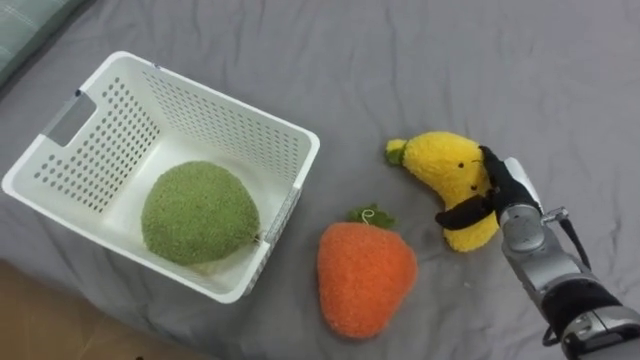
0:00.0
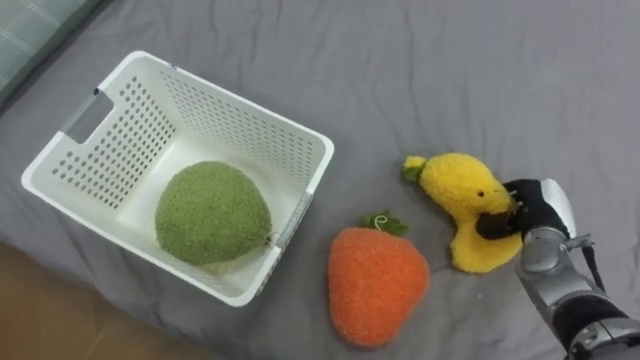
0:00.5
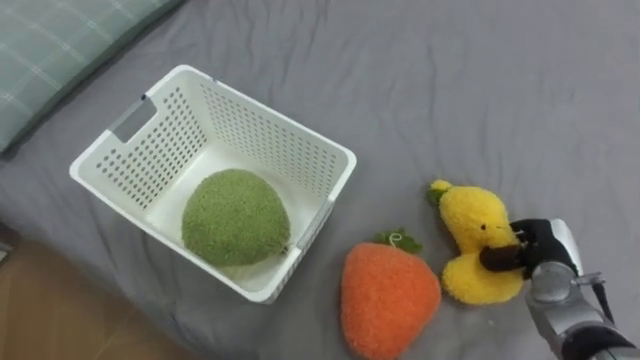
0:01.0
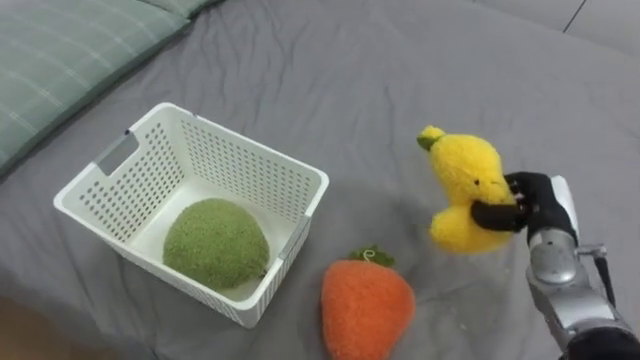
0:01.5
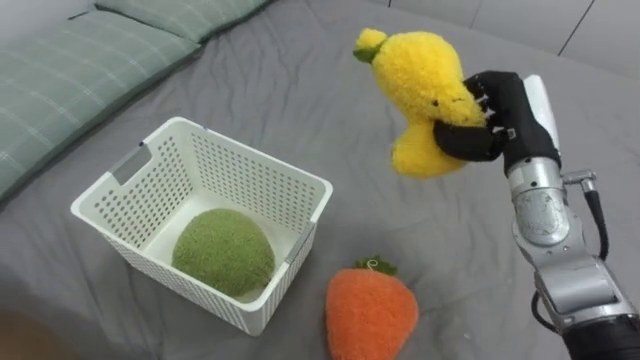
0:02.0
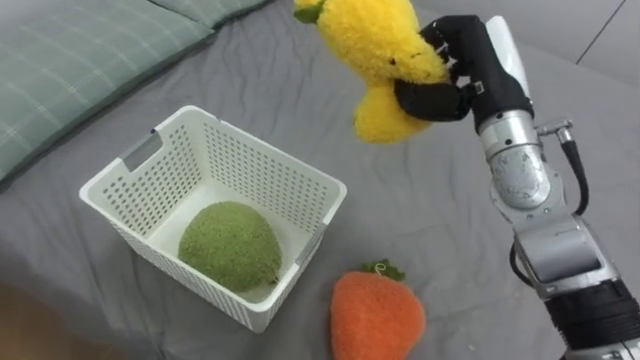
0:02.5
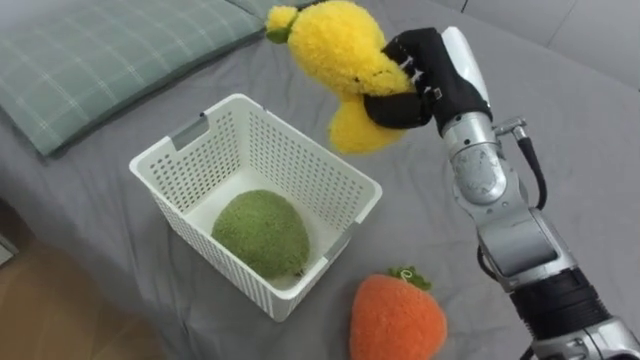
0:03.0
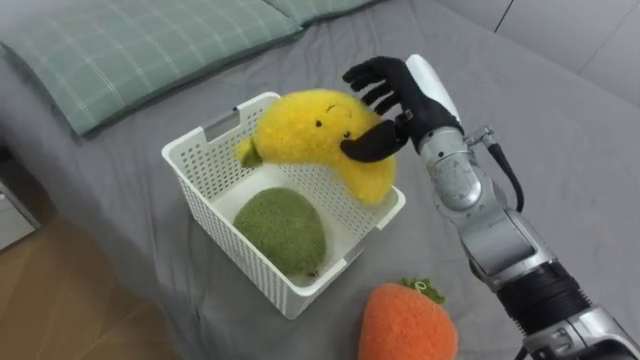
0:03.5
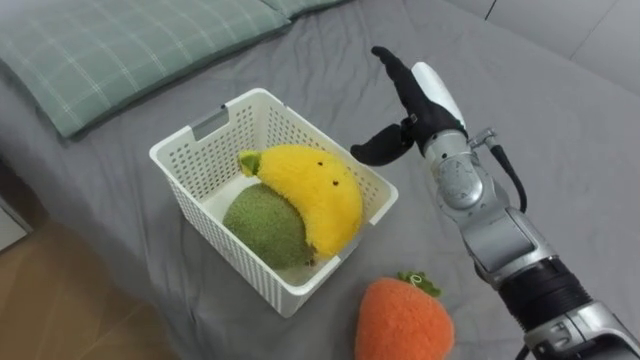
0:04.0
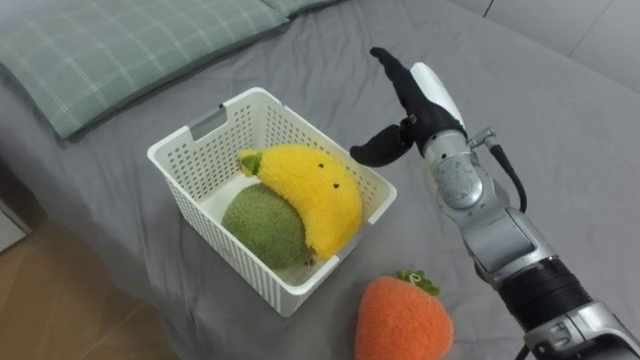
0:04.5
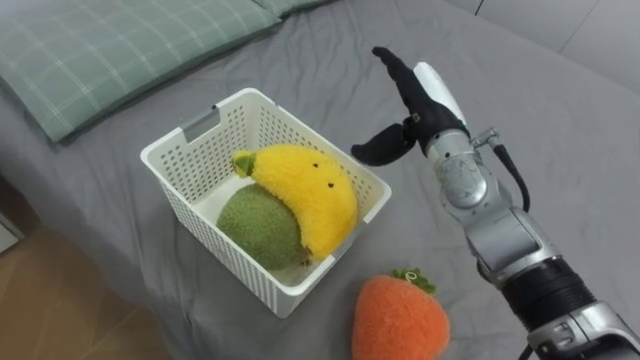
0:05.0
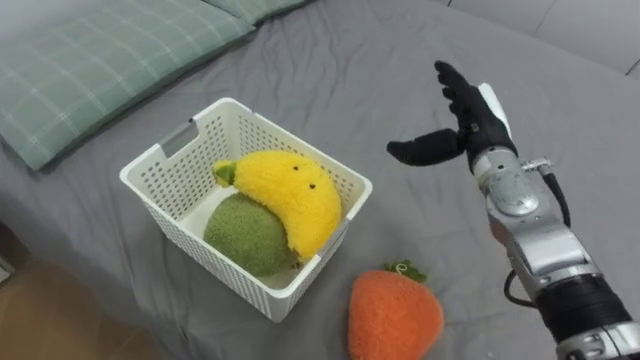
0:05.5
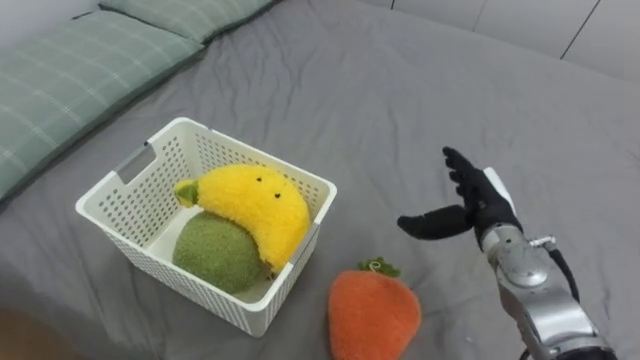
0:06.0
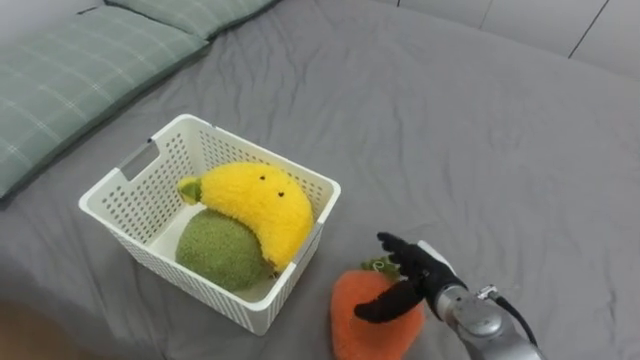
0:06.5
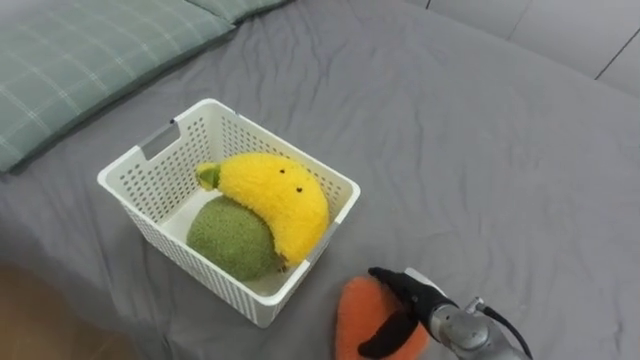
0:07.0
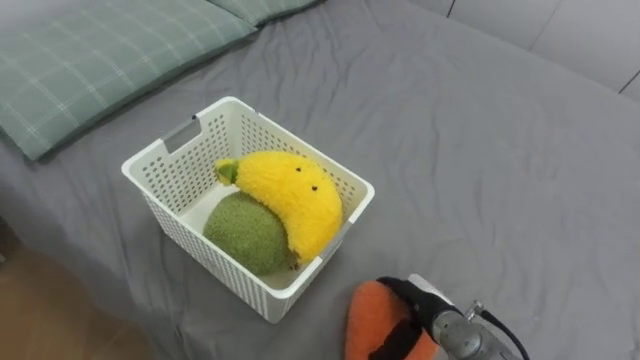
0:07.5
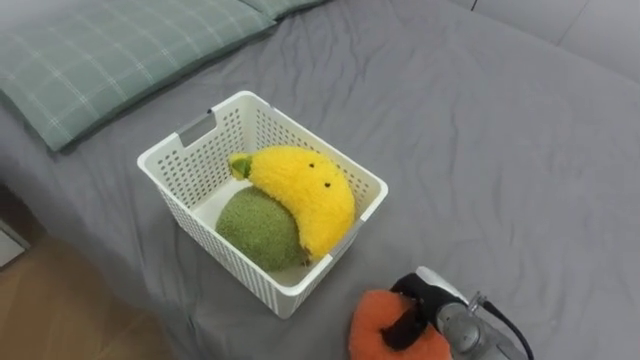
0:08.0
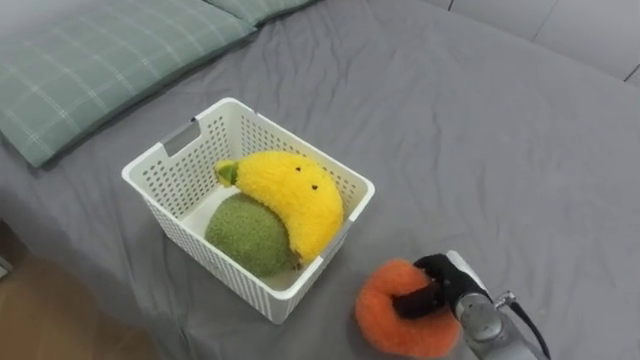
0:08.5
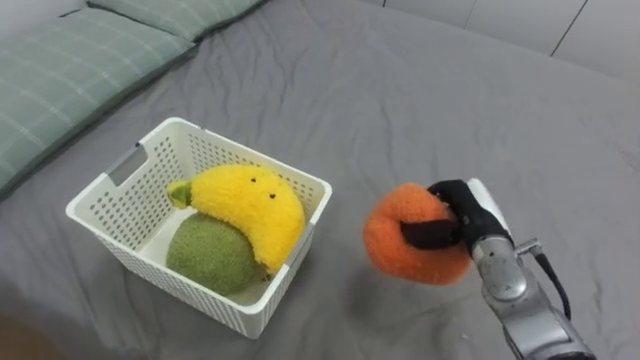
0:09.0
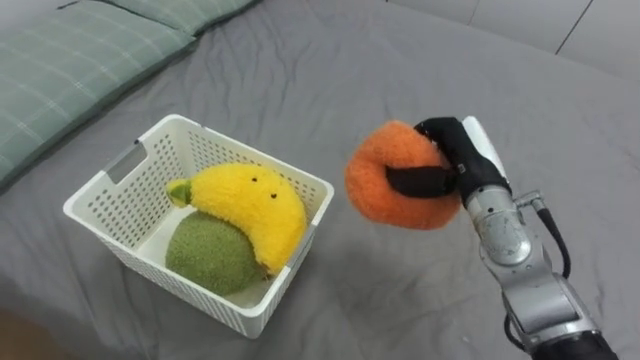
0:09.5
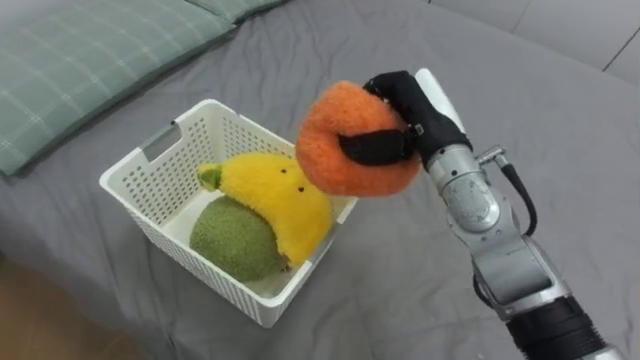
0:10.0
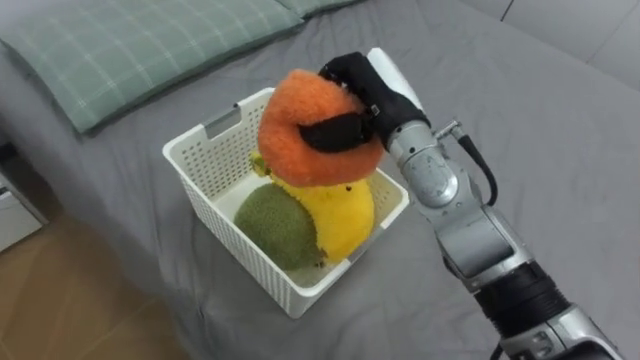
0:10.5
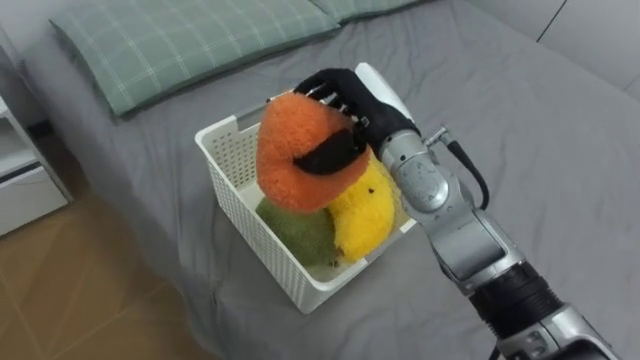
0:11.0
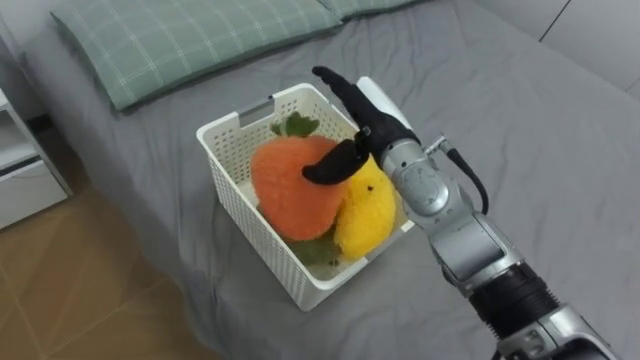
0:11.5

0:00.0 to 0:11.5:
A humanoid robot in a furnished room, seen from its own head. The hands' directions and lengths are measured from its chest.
Task of the whole recording: Put the toys on the bed into the basket on the left.
0:00.0 to 0:02.0: The right hand shifts approximately 10 cm upward, and closes up.
0:02.0 to 0:04.0: The right hand shifts about 10 cm to the left, and opens.
0:04.0 to 0:06.0: The right hand heads downward, to the right and backward, covering approximately 15 cm.
0:06.0 to 0:07.5: The right hand heads downward, backward and to the left, covering roughly 20 cm.
0:07.5 to 0:09.5: The right hand heads upward and forward, covering roughly 20 cm, and closes.
0:09.5 to 0:11.5: The right hand heads to the left and upward, covering about 15 cm, and opens.

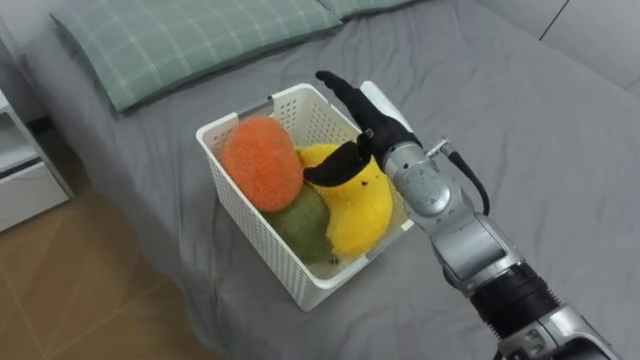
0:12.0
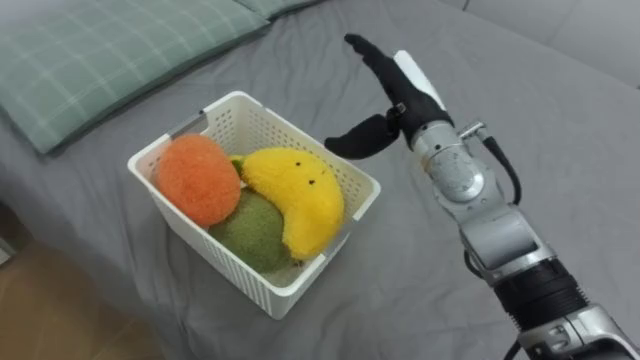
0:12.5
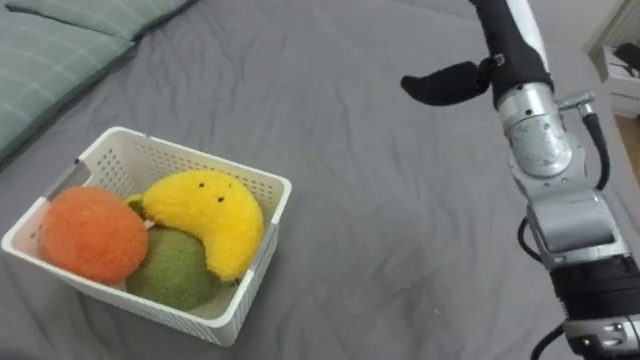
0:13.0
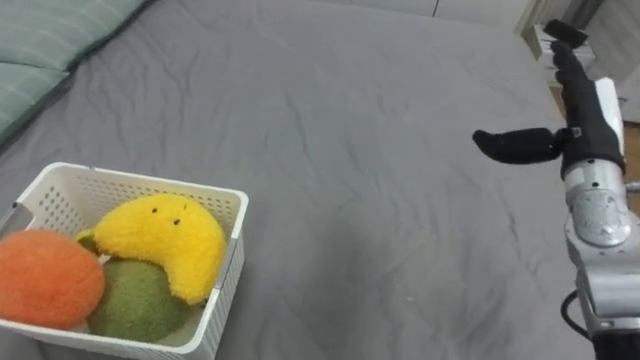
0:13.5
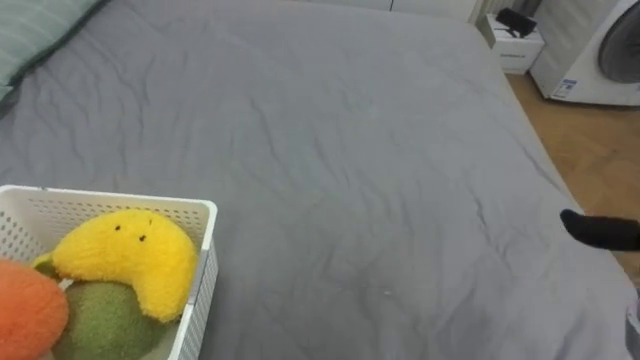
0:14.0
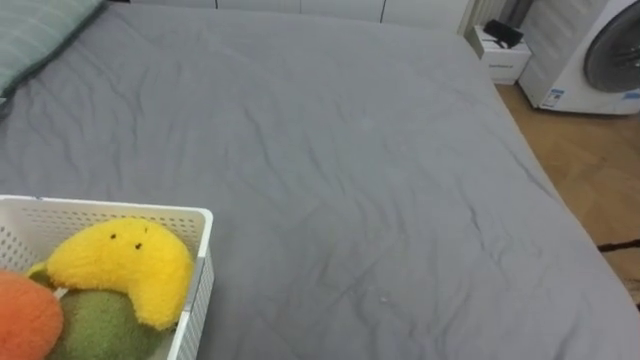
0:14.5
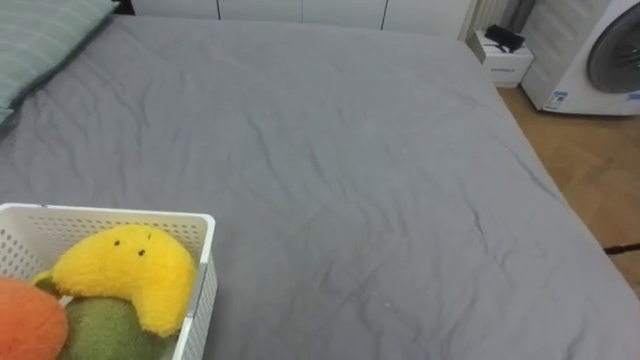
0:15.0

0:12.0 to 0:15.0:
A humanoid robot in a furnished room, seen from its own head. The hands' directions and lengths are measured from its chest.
Task of the whole recording: Put the toys on the bed into the basket on the left.
0:12.0 to 0:13.5: The right hand shifts some 20 cm to the right.

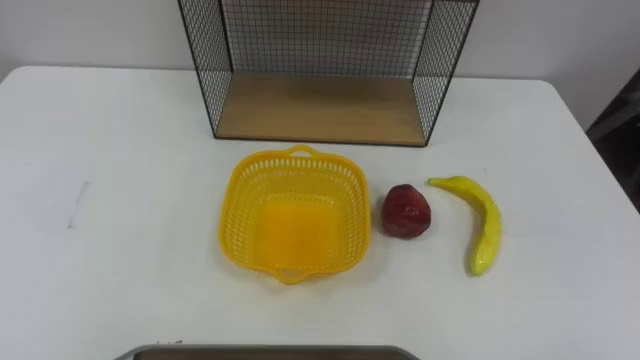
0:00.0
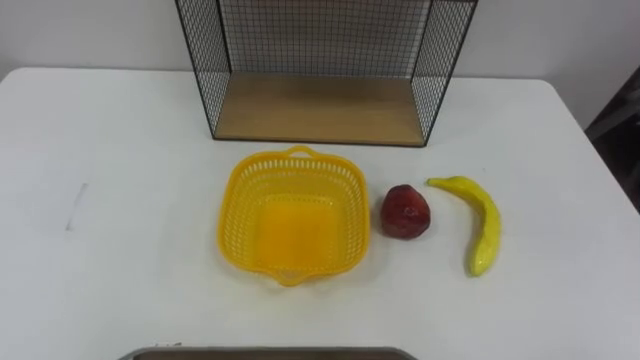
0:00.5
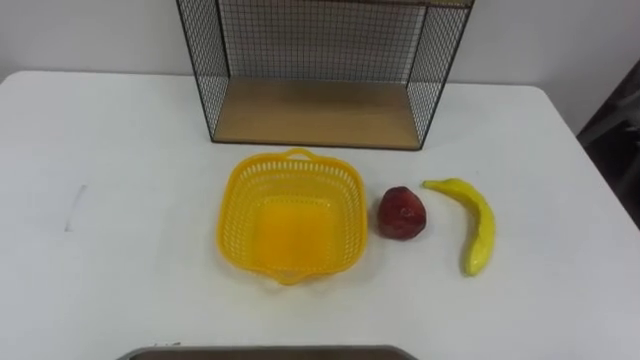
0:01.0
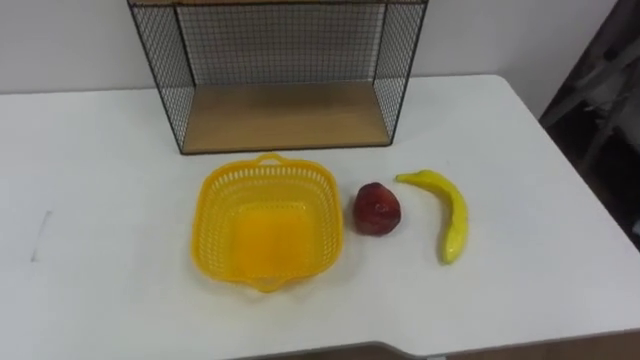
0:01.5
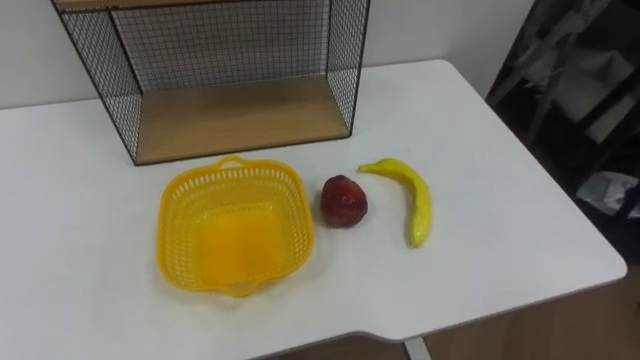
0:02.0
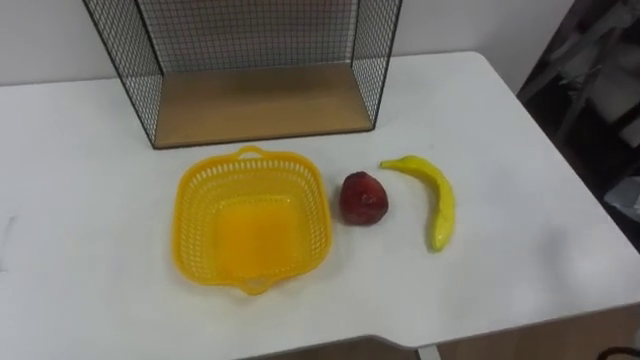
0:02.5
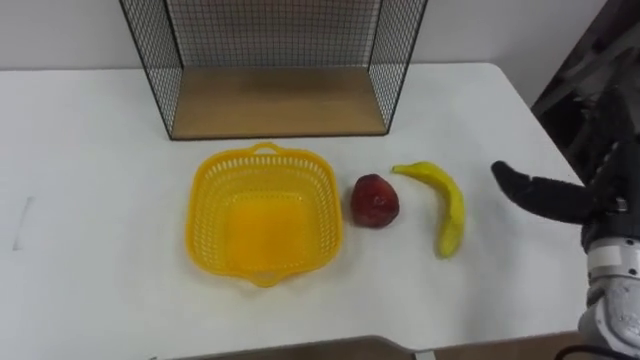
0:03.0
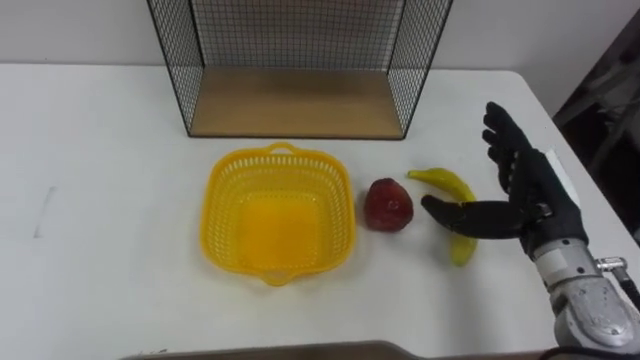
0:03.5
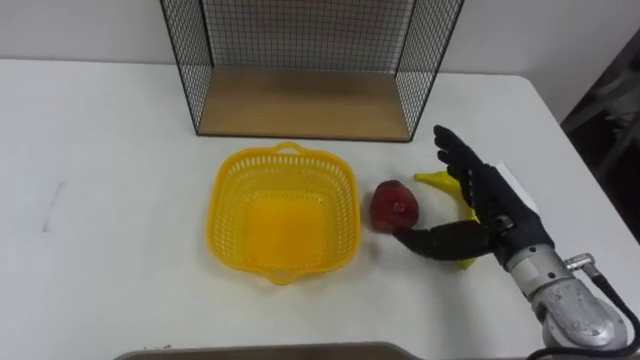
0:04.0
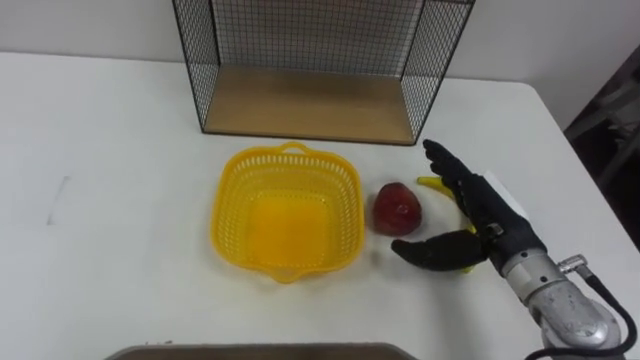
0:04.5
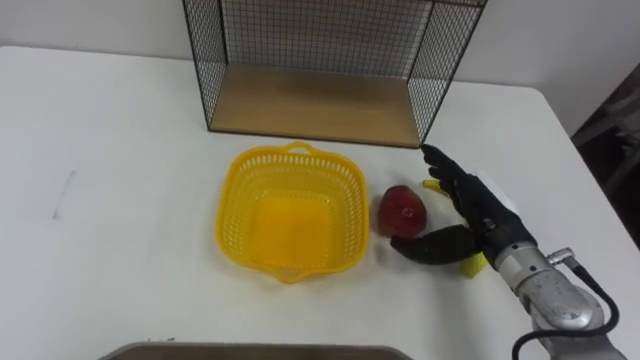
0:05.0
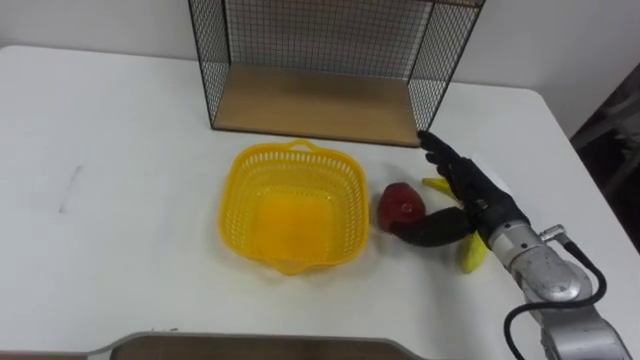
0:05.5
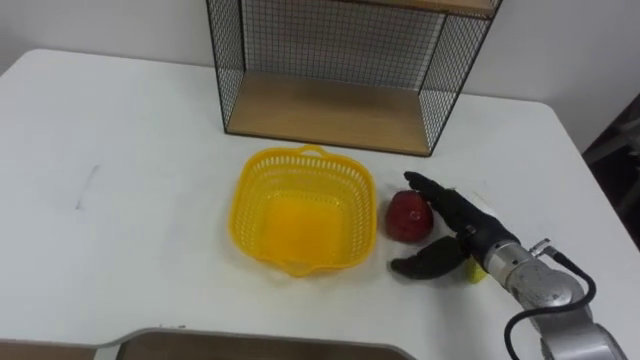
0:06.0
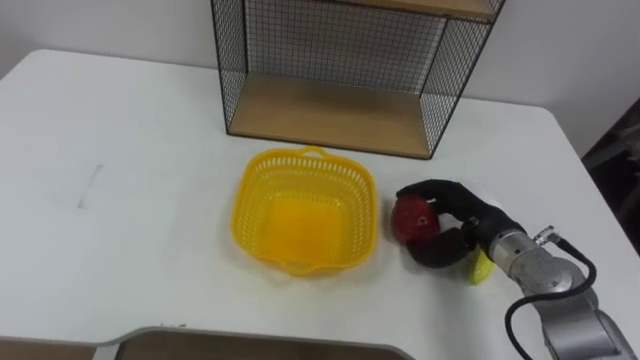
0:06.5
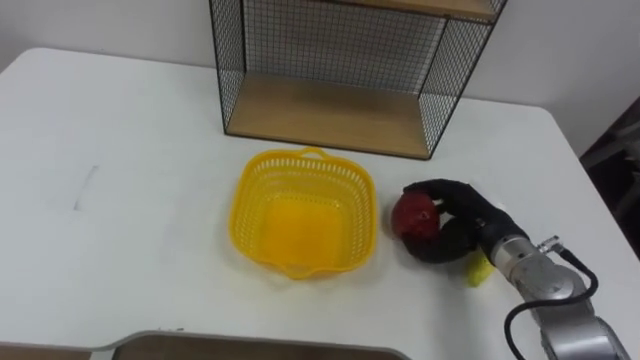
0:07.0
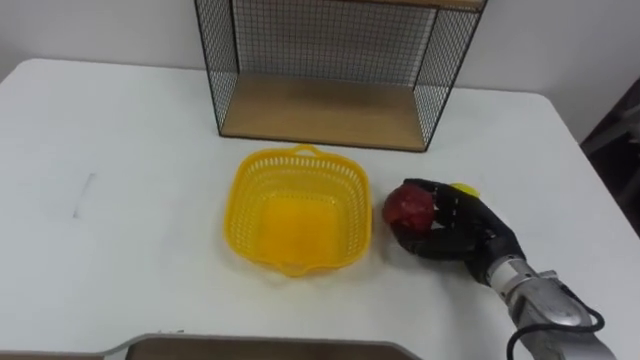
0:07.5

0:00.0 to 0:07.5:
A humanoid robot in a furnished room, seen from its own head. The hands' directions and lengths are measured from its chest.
Task of the whole recording: Put the fruit on the table into the basket, then place the basket on the shelf.
0:05.5 to 0:07.5: The right hand heads downward, covering about 5 cm, and closes up.
